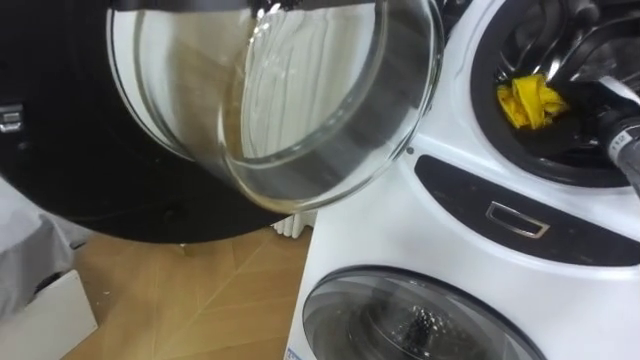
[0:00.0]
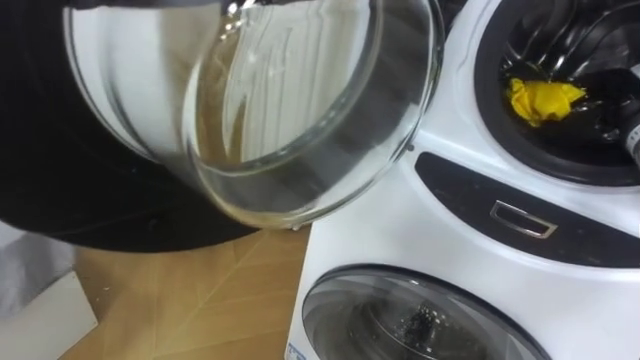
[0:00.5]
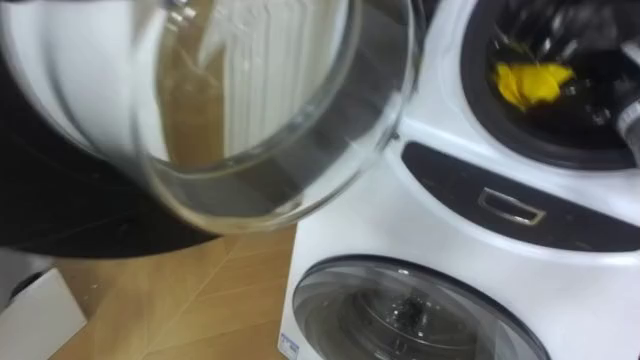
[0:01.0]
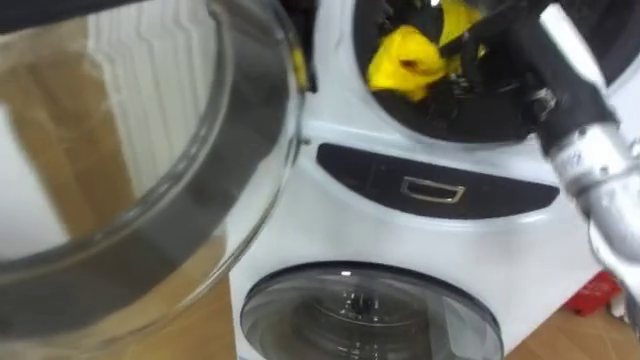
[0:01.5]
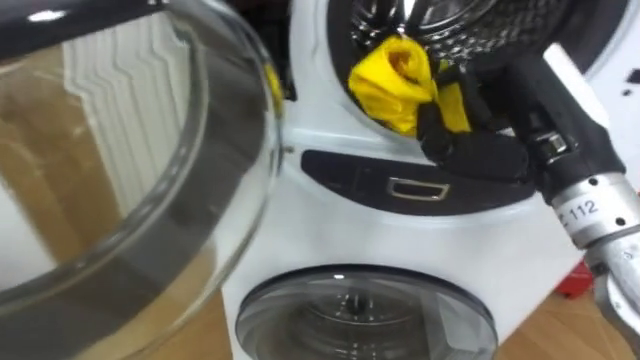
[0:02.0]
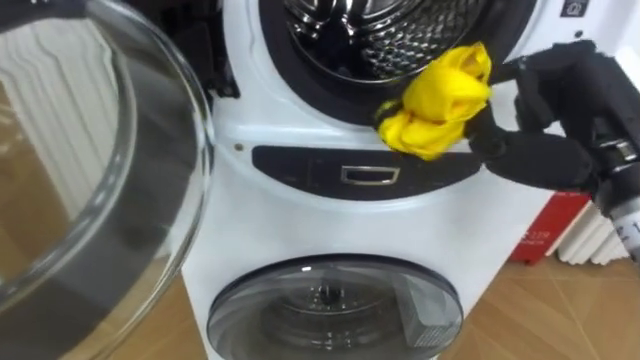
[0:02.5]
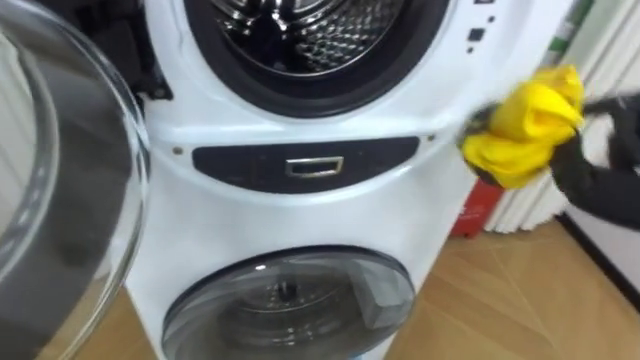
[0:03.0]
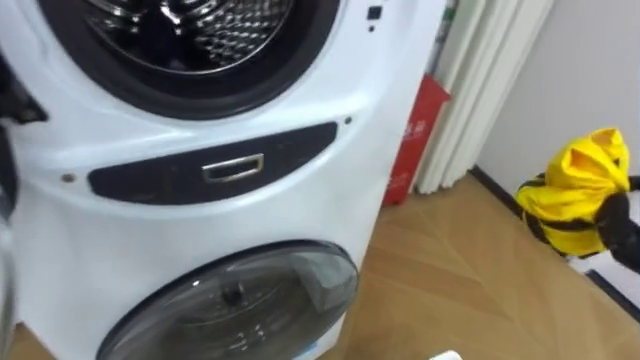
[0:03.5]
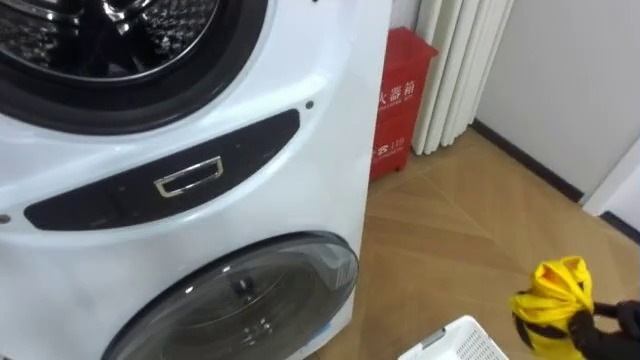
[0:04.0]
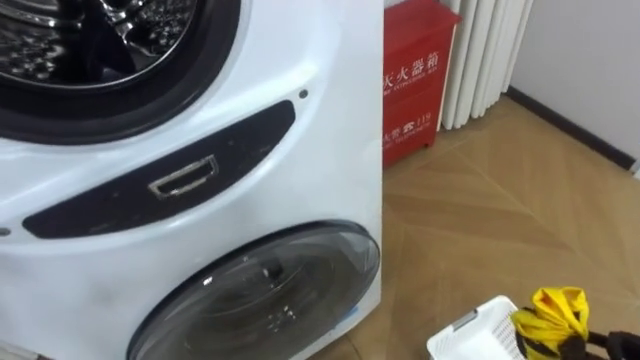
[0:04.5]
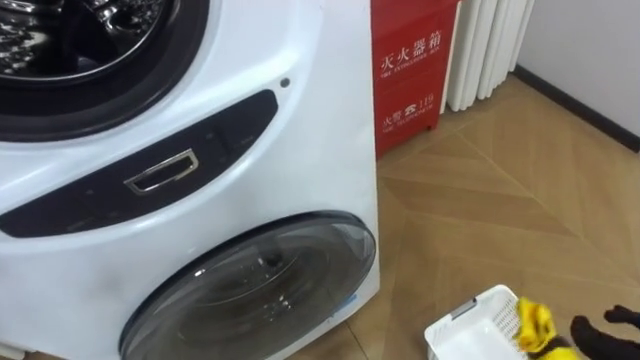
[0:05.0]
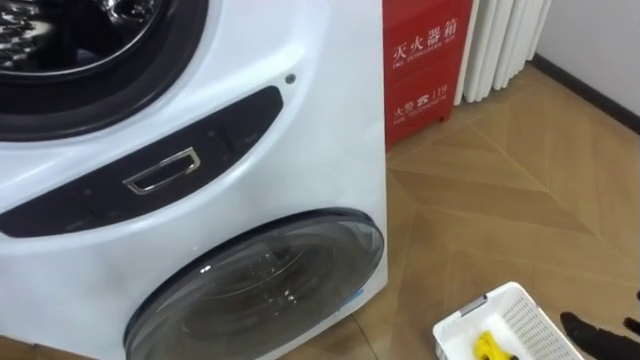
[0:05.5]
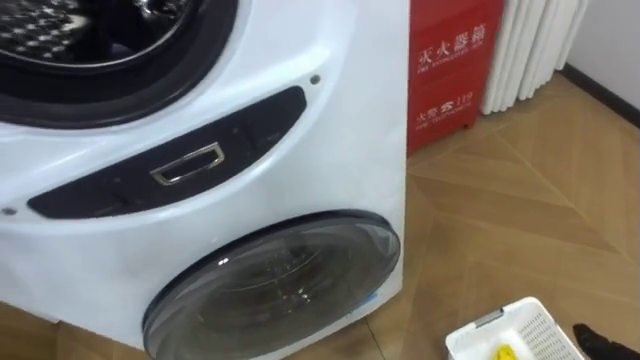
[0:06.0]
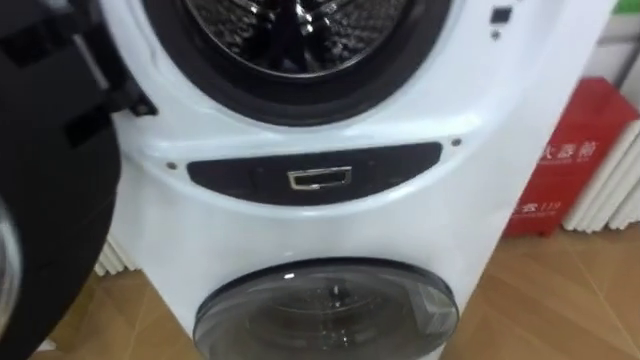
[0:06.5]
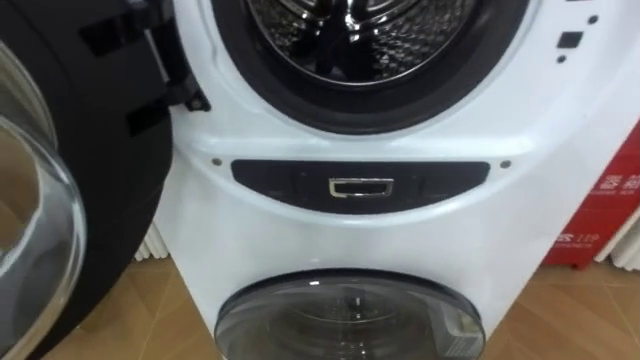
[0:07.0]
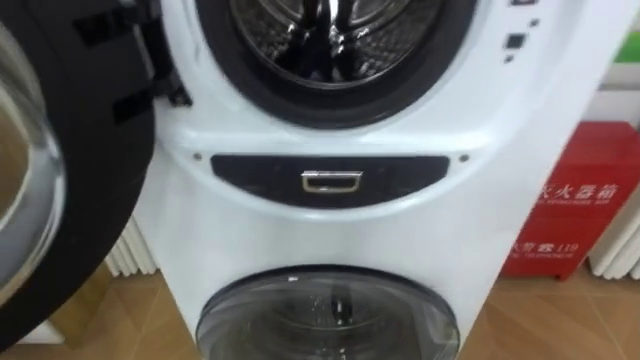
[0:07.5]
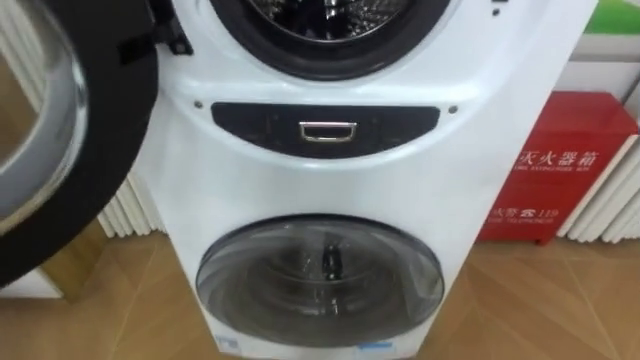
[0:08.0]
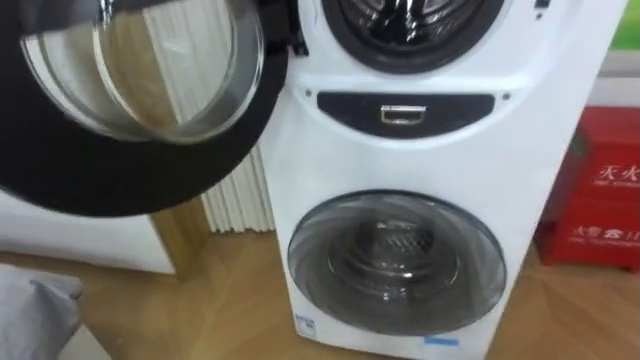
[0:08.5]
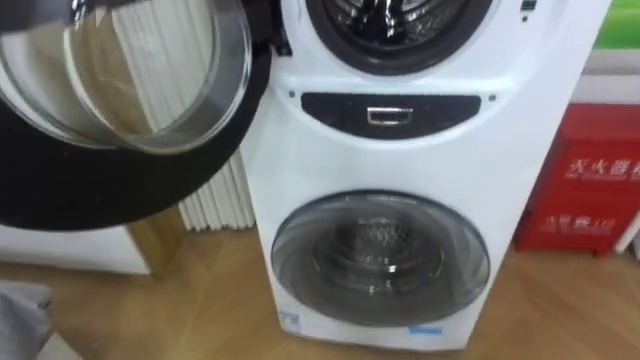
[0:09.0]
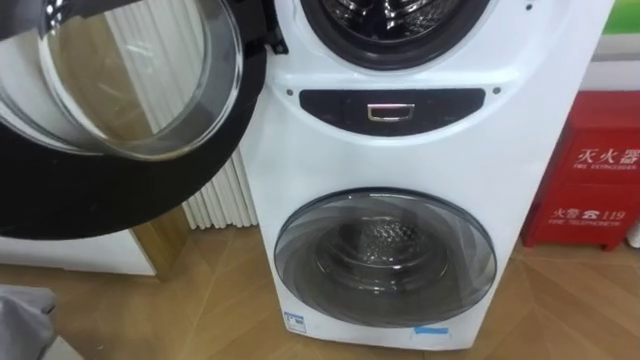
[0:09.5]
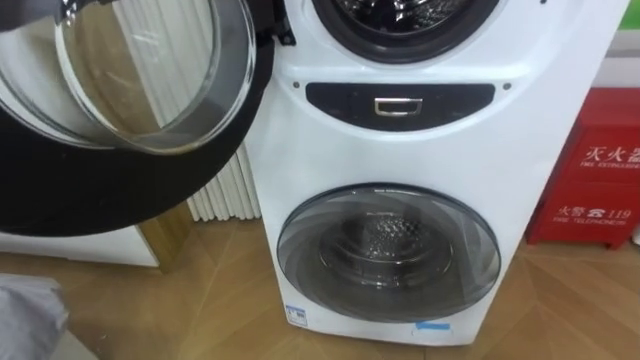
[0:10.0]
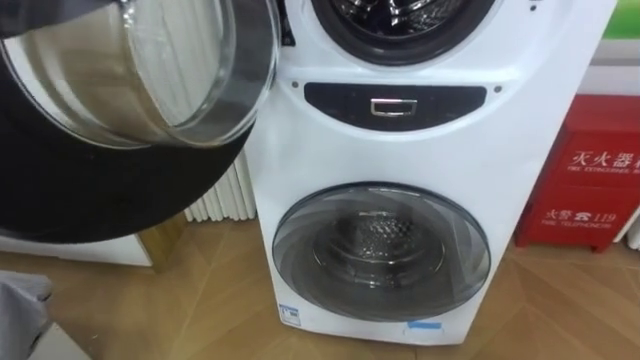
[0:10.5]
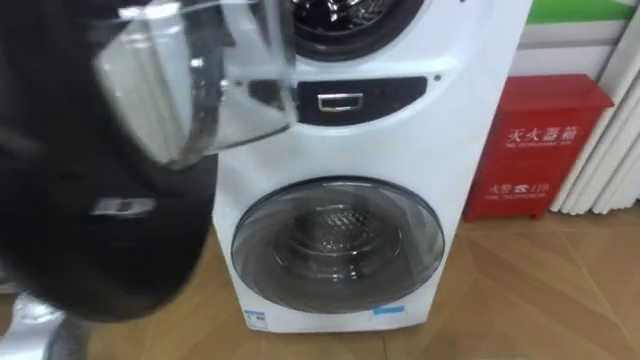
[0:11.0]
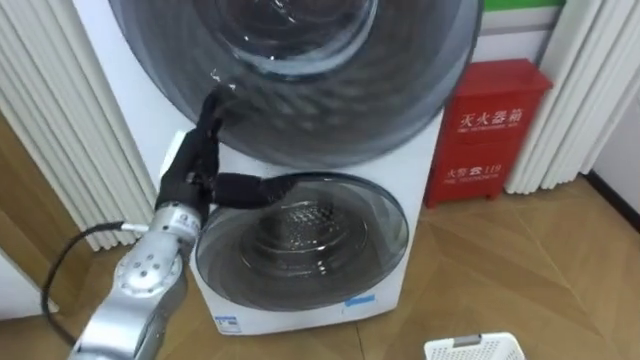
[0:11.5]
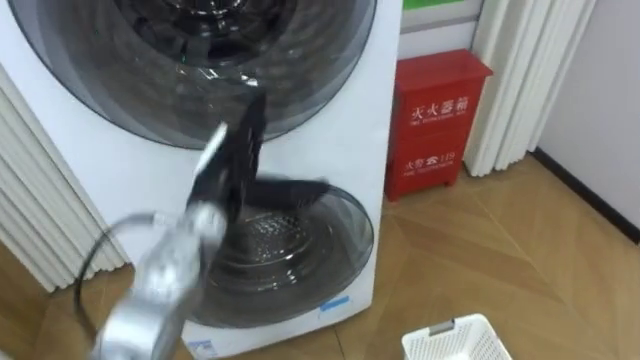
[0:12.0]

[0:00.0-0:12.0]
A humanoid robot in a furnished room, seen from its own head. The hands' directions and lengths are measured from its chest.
Task of the whole recording: Open the washing machine door, take out the yellow clothes, place them in the box on the right, and close the washing machine door.
0:00.0 to 0:02.0: The right hand travels to the left, backward and upward by about 20 cm, and closes.
0:06.0 to 0:08.0: The robot turns to its left by roughly 15 degrees.

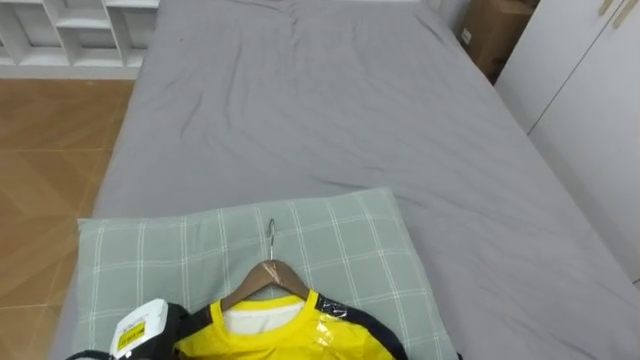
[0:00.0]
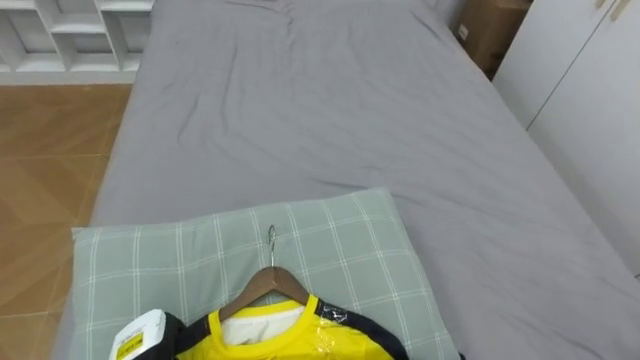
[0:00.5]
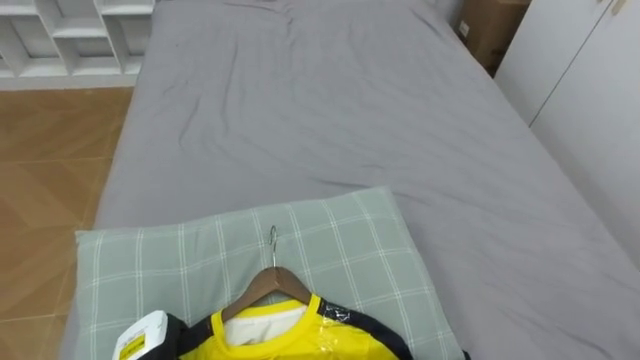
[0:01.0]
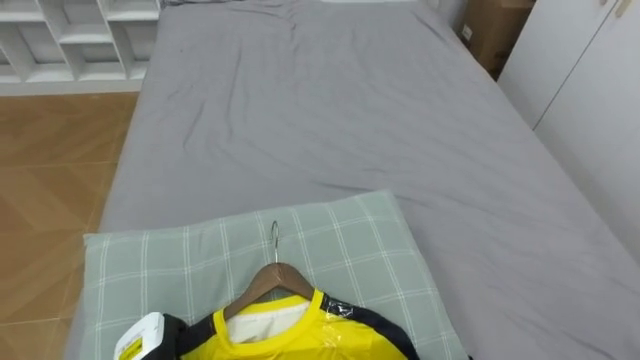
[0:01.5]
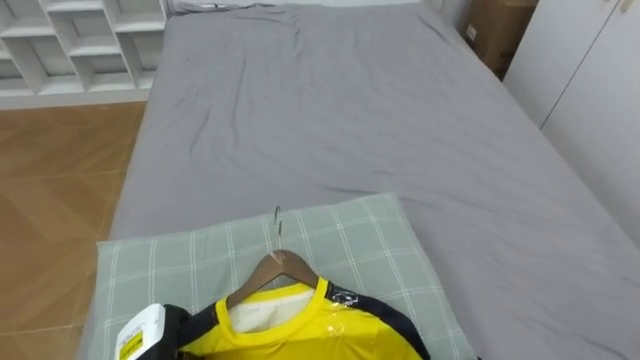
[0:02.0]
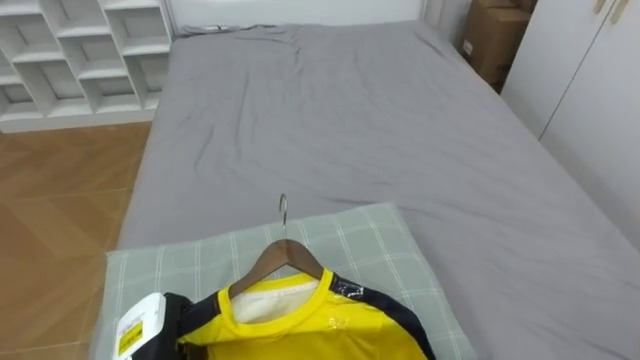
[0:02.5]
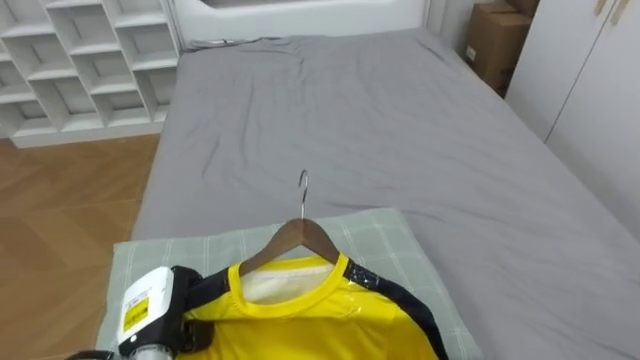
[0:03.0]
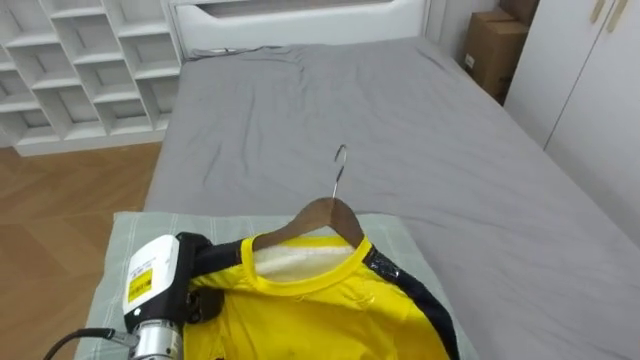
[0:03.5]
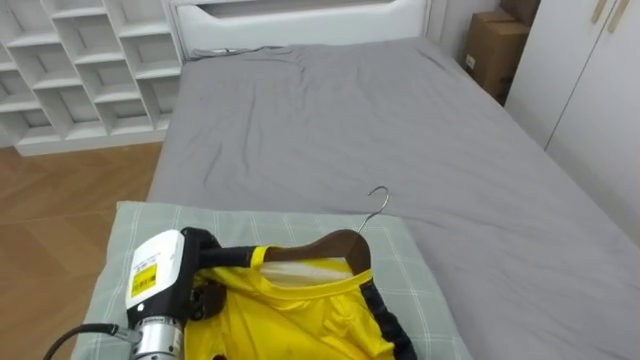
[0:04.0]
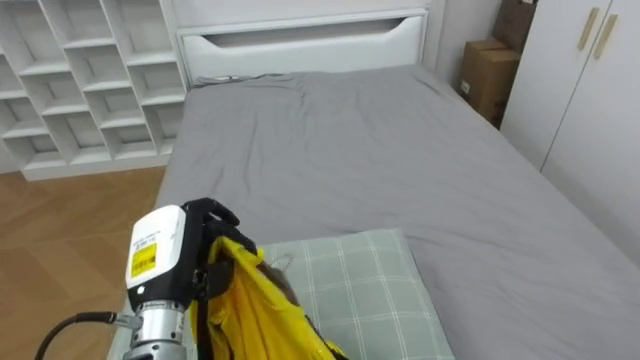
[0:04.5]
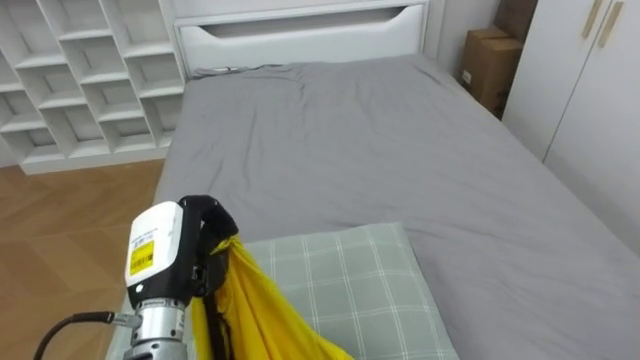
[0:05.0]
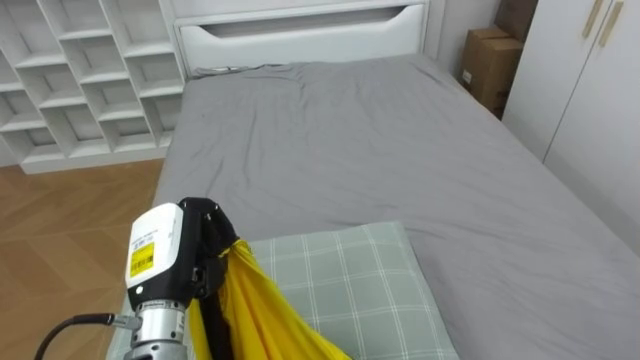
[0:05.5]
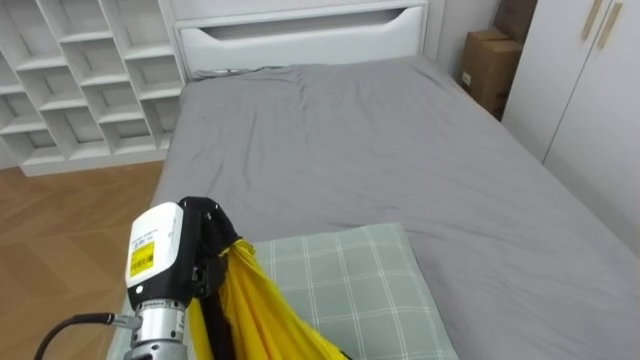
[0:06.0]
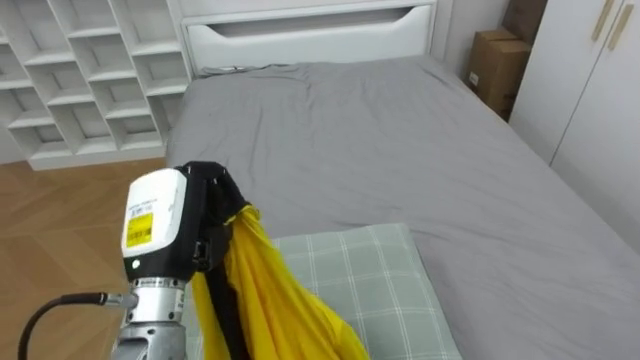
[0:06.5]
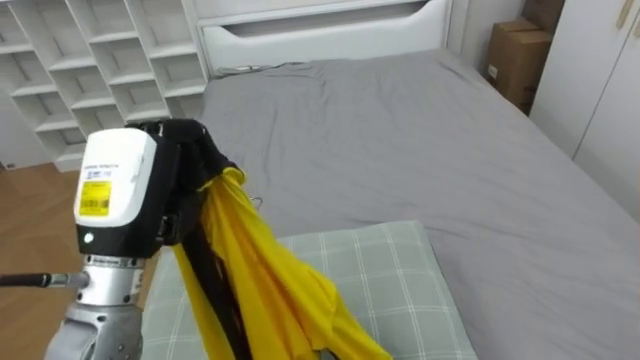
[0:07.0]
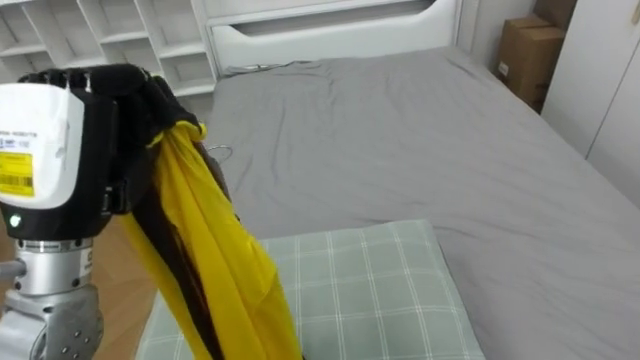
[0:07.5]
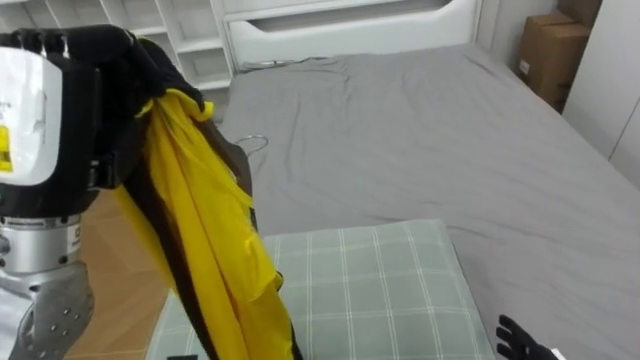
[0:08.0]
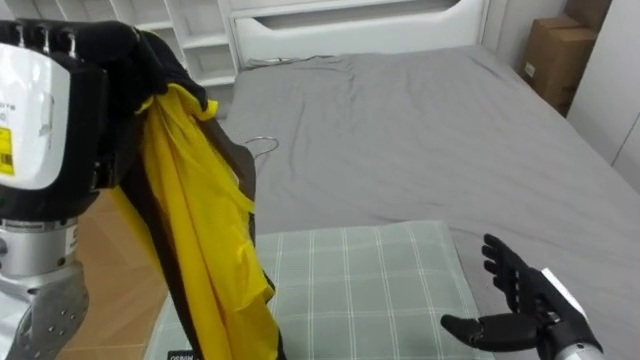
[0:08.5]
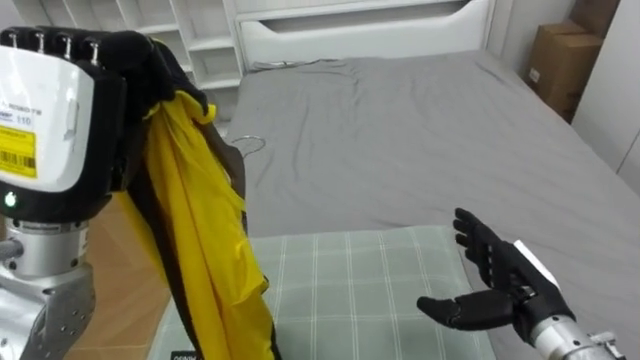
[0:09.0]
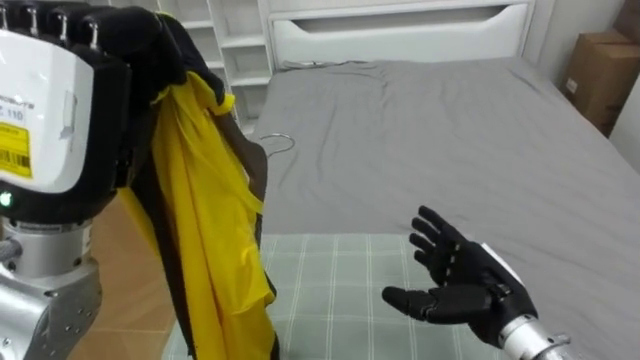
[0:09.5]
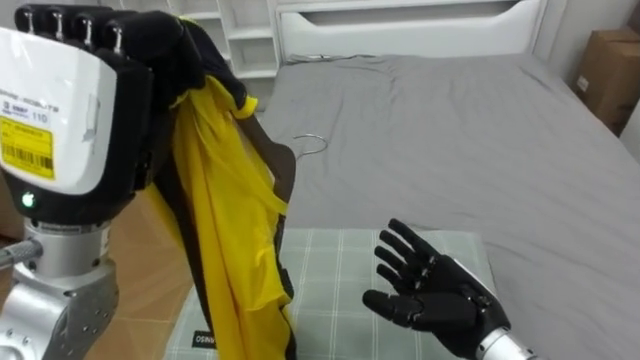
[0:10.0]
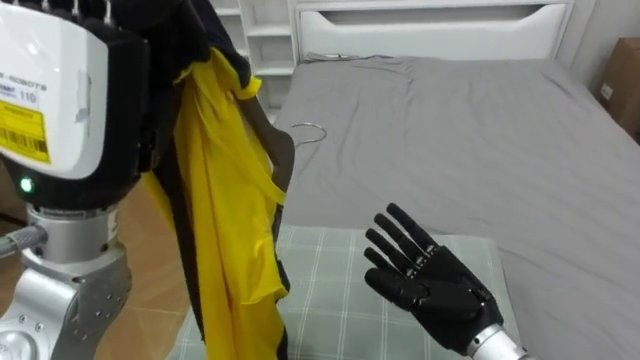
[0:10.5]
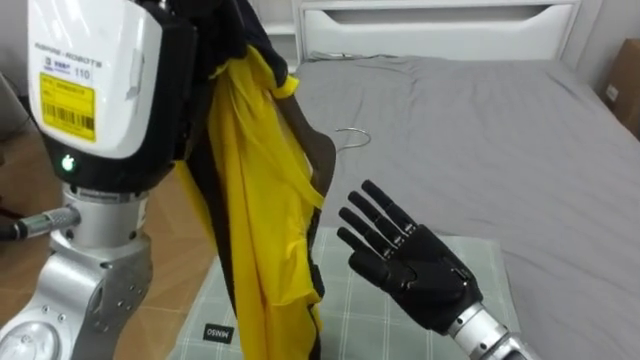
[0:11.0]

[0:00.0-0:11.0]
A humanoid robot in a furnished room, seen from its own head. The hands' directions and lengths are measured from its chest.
Task of the whole recording: Pick up the yellow shirt on the bed and hang it on the clothes rack on the right.
0:02.0 to 0:03.5: The left hand heads upward, covering some 10 cm.
0:03.5 to 0:05.5: The left hand goes roughly 5 cm upward.
0:05.5 to 0:07.5: The left hand heads upward, covering approximately 20 cm.
0:09.0 to 0:11.0: The left hand heads to the right, covering about 5 cm; the right hand shifts approximately 10 cm to the left.
